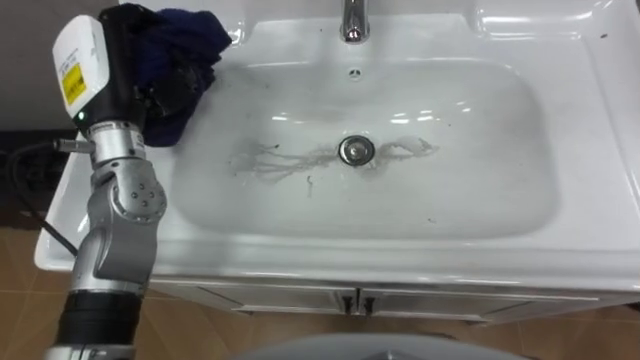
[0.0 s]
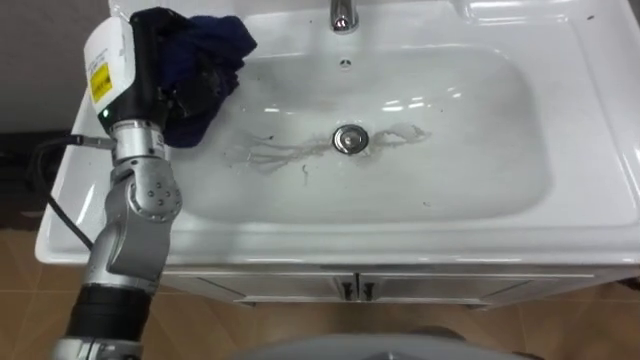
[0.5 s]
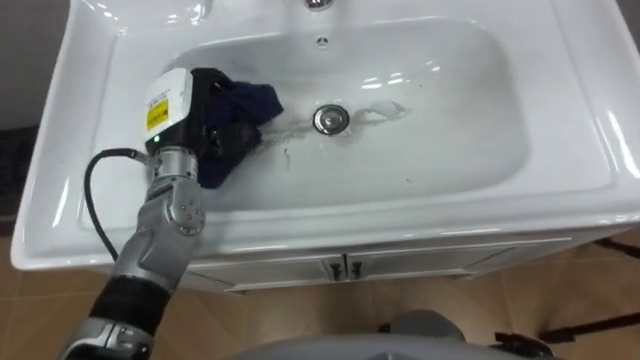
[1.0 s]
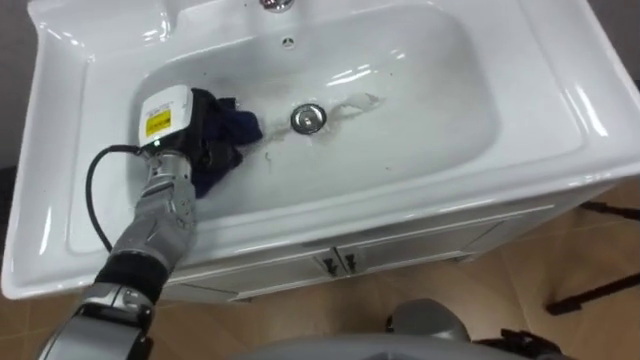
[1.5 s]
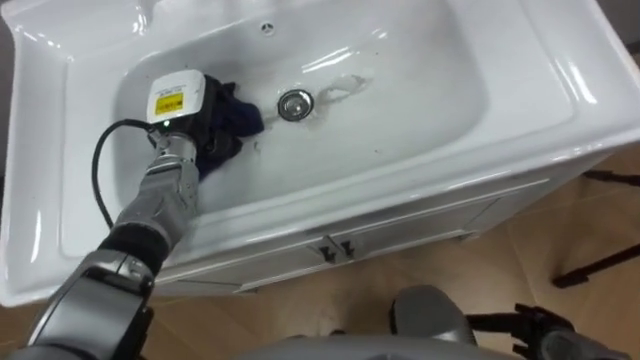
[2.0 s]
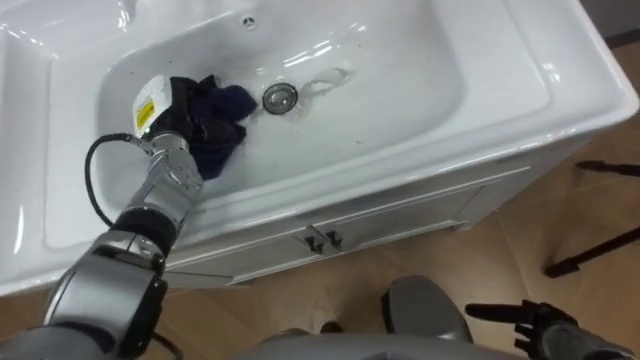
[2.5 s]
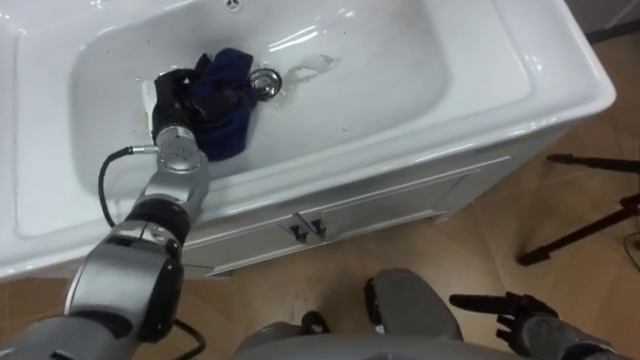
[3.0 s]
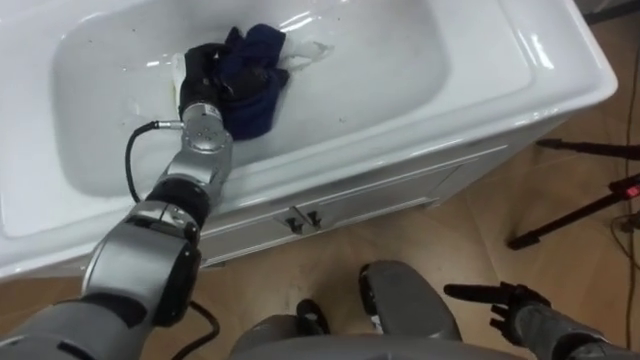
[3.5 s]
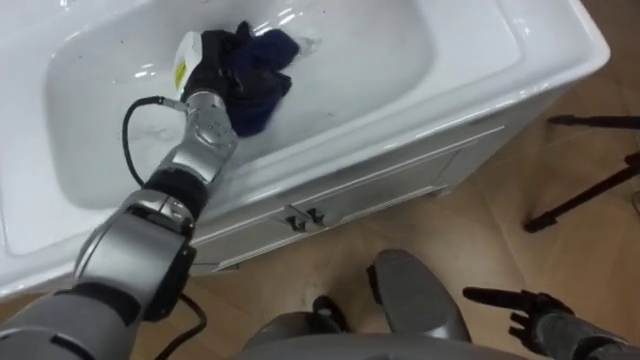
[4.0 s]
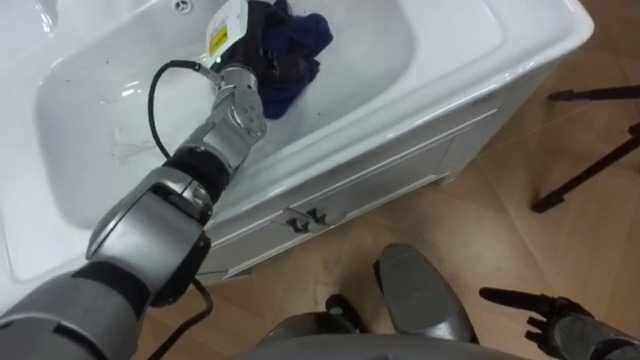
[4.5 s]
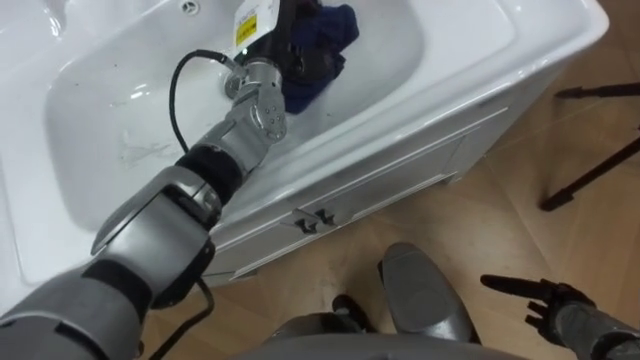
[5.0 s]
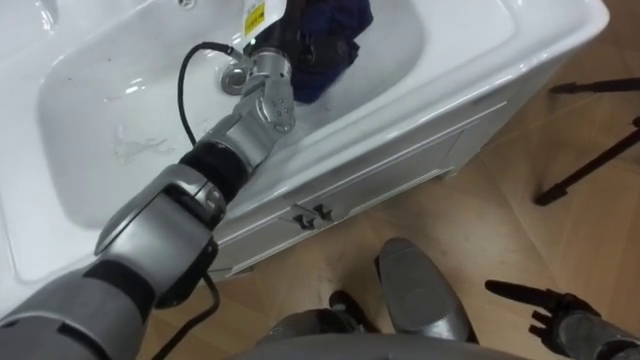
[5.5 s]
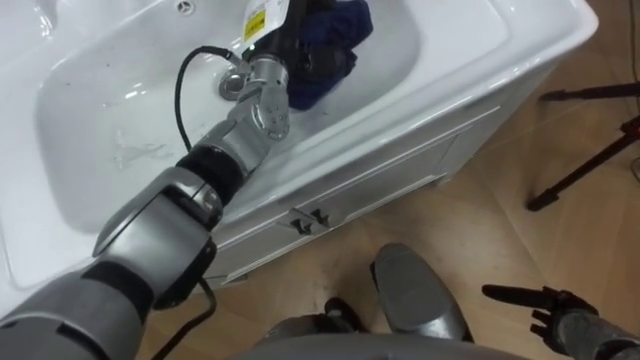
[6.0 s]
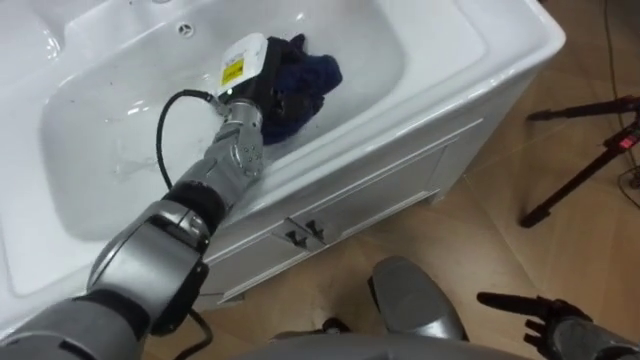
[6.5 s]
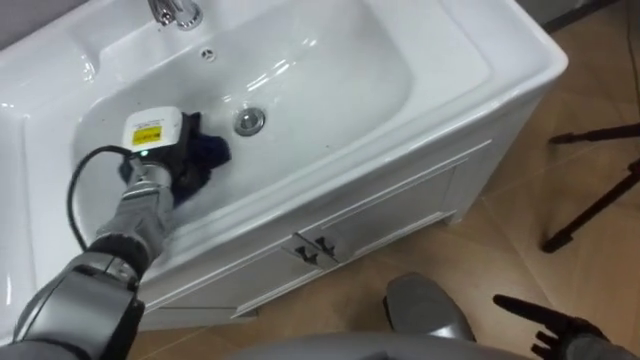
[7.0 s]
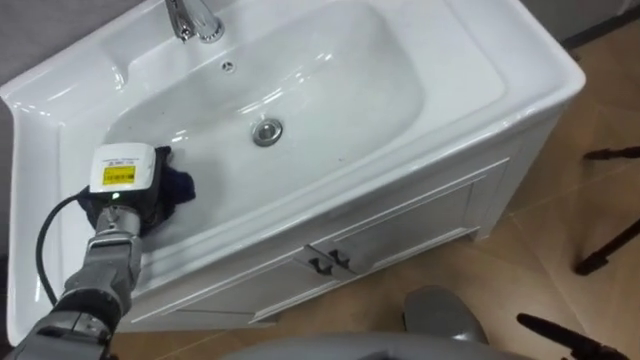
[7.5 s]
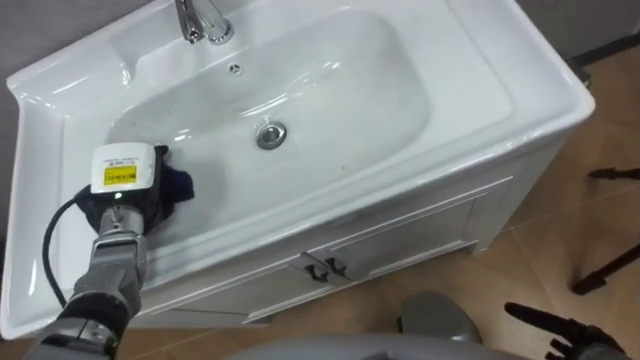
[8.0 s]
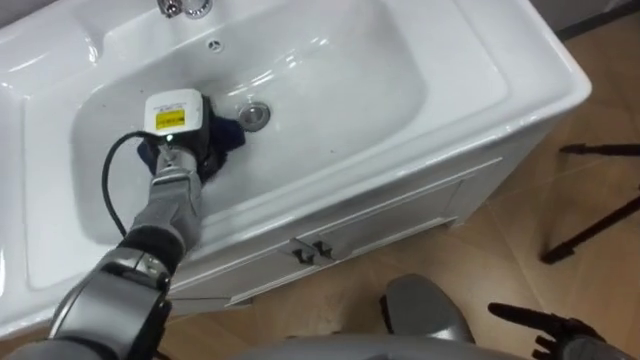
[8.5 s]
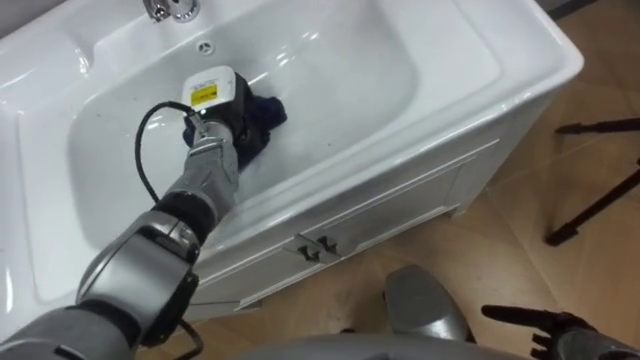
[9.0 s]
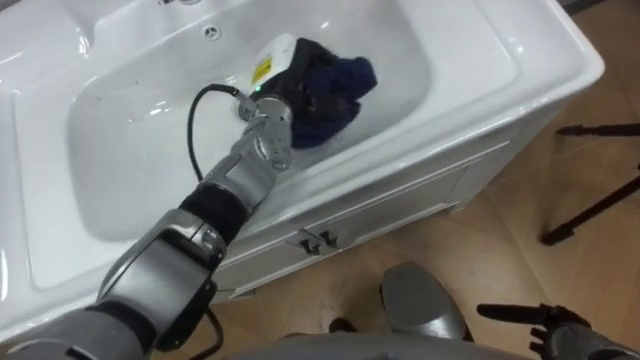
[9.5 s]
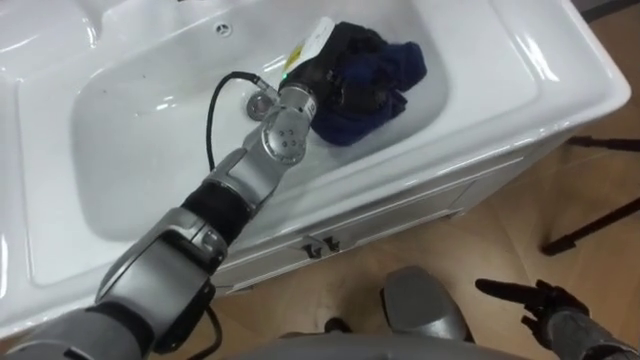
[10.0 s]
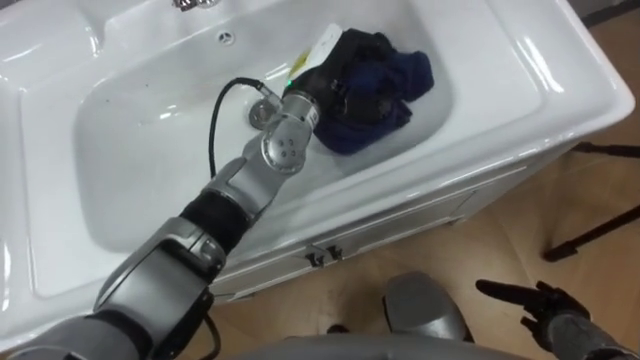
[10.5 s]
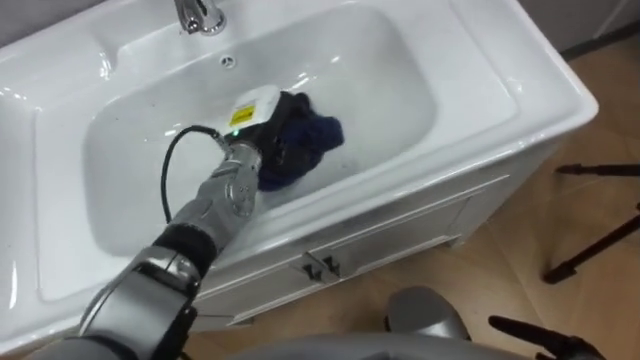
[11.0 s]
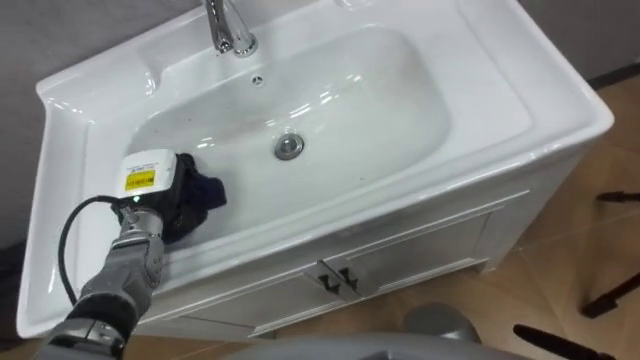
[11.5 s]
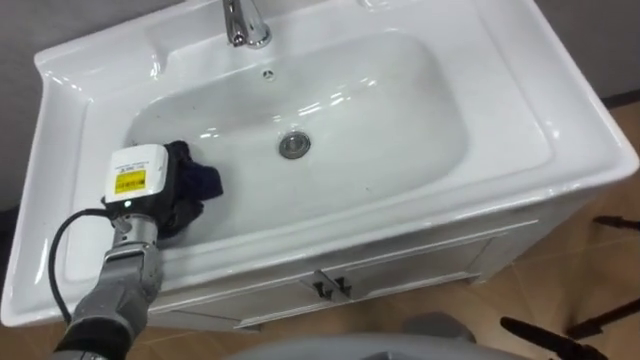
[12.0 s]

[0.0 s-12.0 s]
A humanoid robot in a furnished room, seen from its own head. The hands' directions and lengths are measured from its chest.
Task of the whole recording: Use the cloth on the right to wipe away the black stain in the sink.
0.0 to 2.0 s: The left hand shifts about 10 cm downward.
2.0 to 4.0 s: The left hand changes place by roughly 5 cm.
4.0 to 6.0 s: The left hand moves to the right and upward, roughly 10 cm.
6.0 to 8.0 s: The left hand heads to the left, backward and downward, covering some 30 cm.
8.0 to 10.0 s: The left hand shifts some 30 cm to the right, upward and forward.
10.0 to 12.0 s: The left hand goes approximately 30 cm to the left, backward and downward.

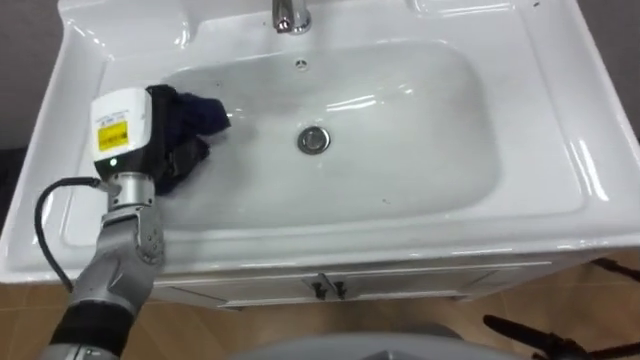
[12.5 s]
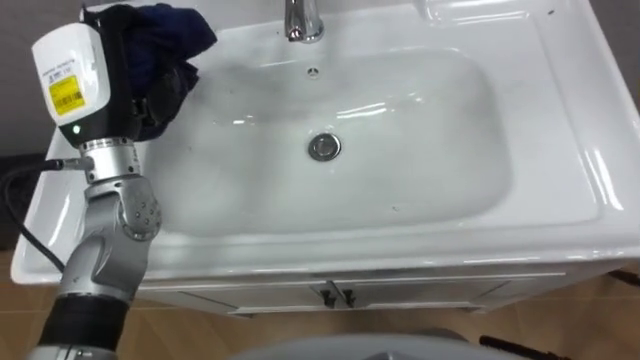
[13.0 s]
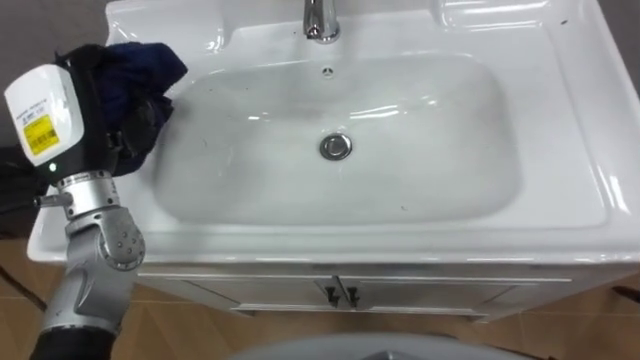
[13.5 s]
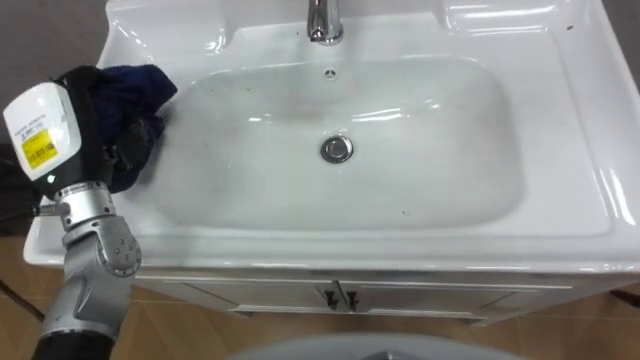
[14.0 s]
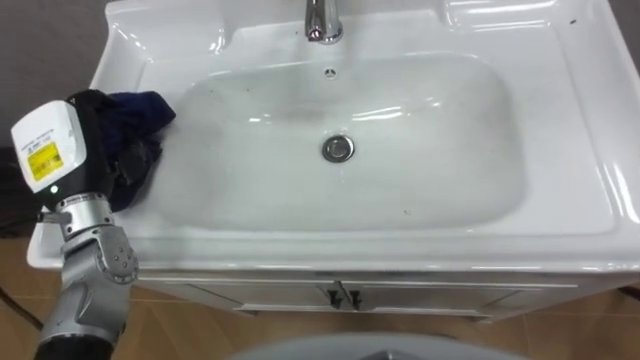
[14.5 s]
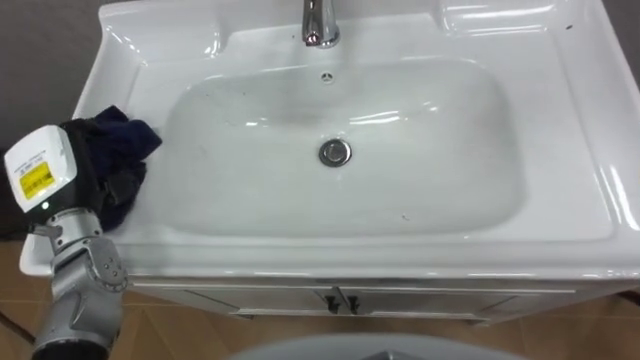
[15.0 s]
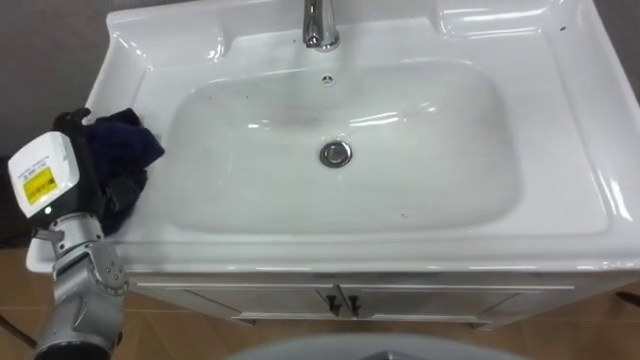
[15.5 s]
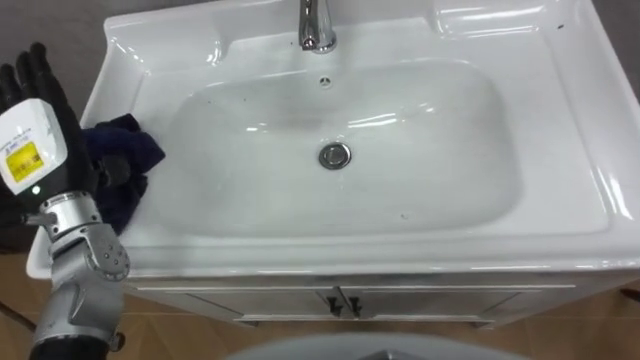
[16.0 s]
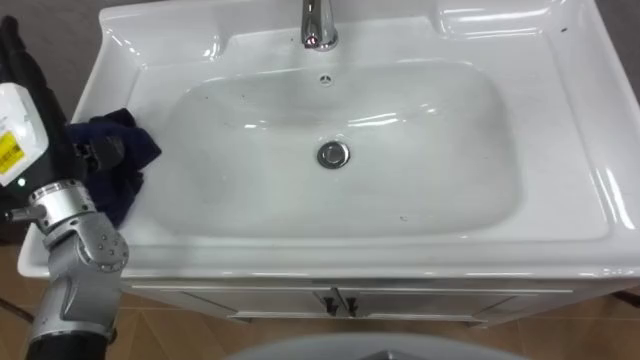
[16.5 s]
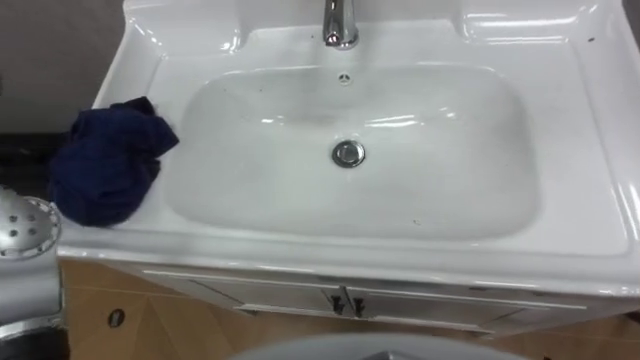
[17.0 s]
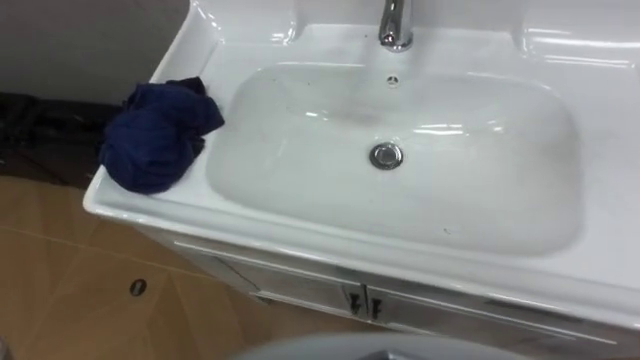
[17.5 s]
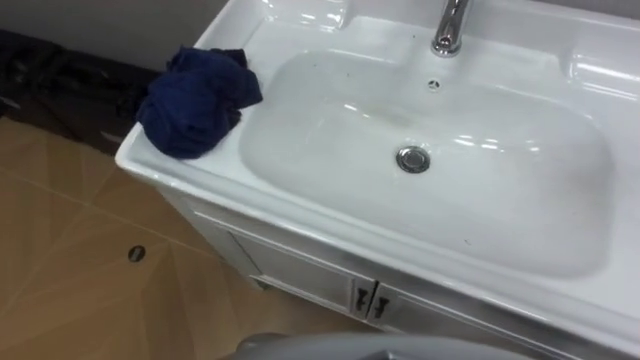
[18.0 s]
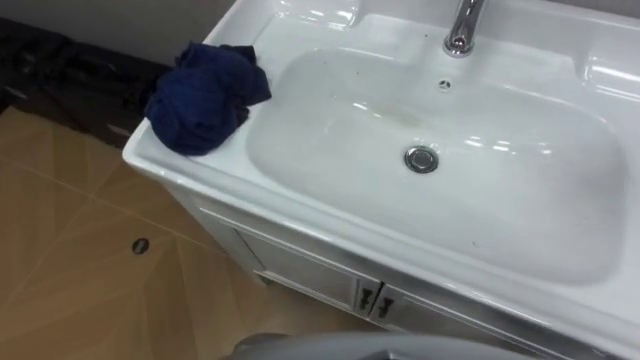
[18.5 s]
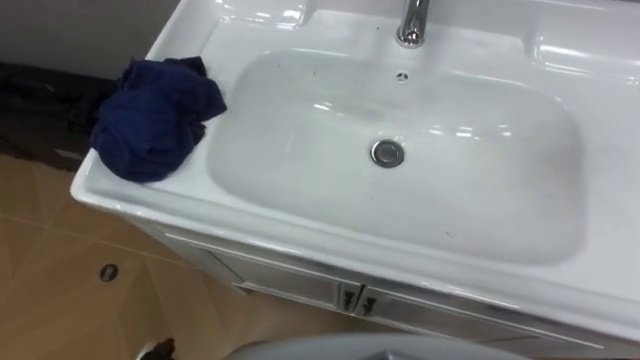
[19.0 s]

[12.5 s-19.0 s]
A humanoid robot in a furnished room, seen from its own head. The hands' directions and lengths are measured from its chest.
Task of the whole recording: Use the cloth on the right to wipe away the black stain in the sink.
12.5 to 14.5 s: The left hand heads to the left, covering about 5 cm, and goes upward and returns, about 10 cm each way.

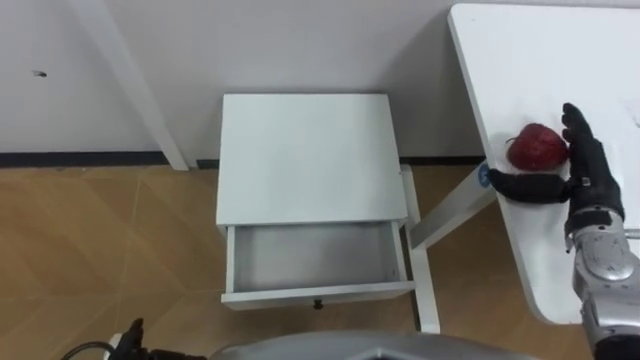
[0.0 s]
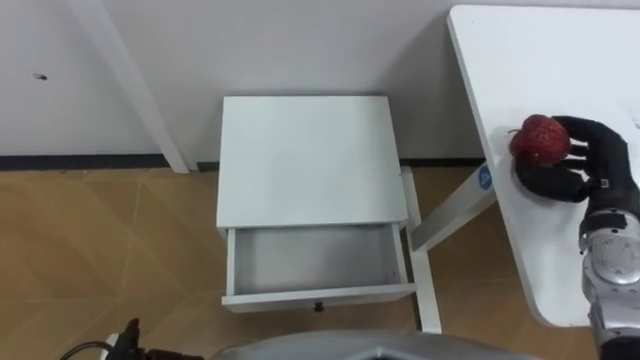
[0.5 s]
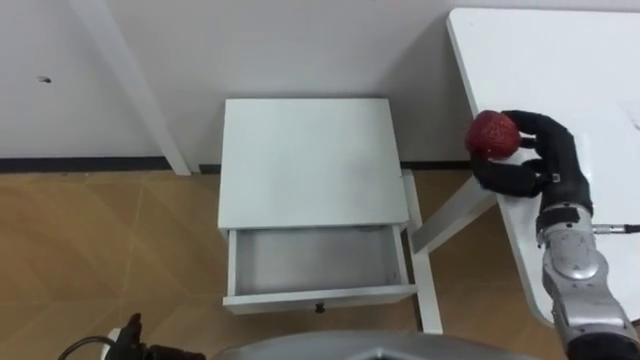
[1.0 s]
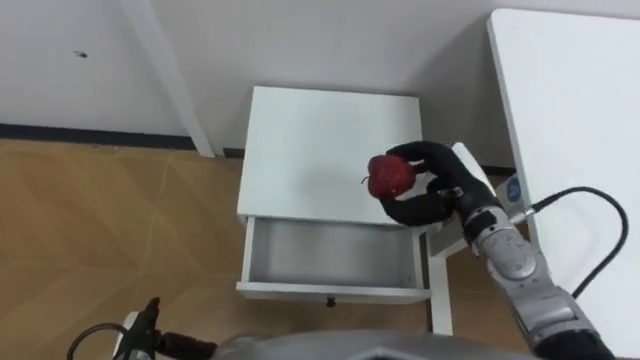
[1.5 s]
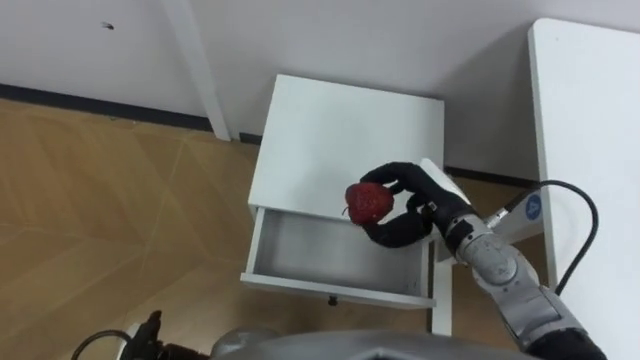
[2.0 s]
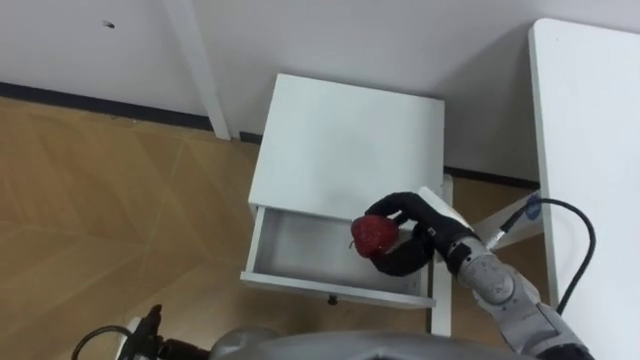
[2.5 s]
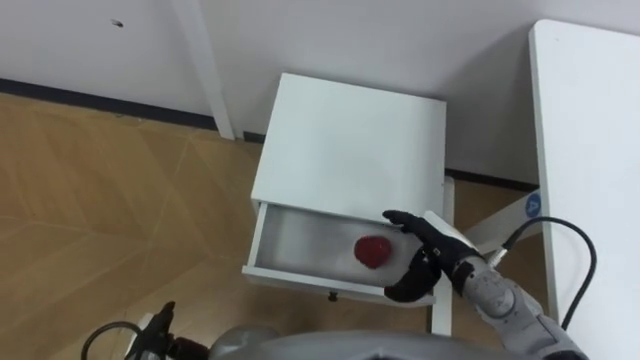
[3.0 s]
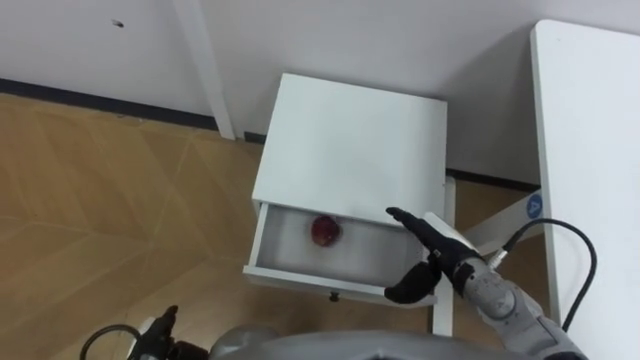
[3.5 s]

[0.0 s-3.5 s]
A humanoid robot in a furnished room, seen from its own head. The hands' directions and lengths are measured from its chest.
Task of the whole recording: Pick up the apple from the table, put it in the drawer, and close the drawer with leg.
0.0 to 2.0 s: The right hand is displaced to the left by some 20 cm, and closes its fingers.
2.0 to 3.5 s: The right hand travels downward and backward by about 10 cm, and opens up.
